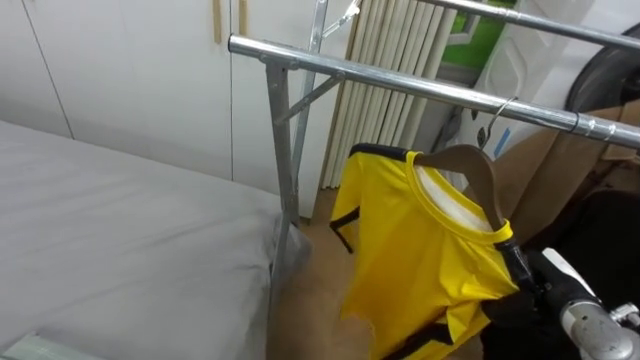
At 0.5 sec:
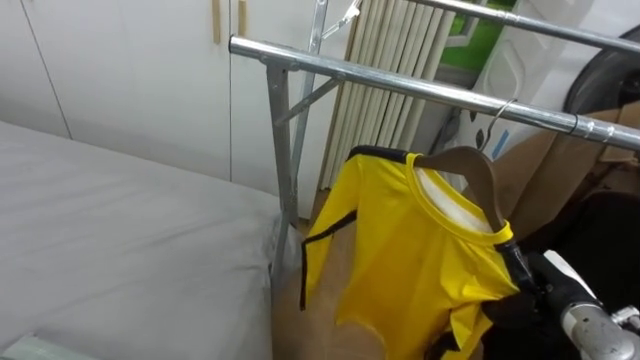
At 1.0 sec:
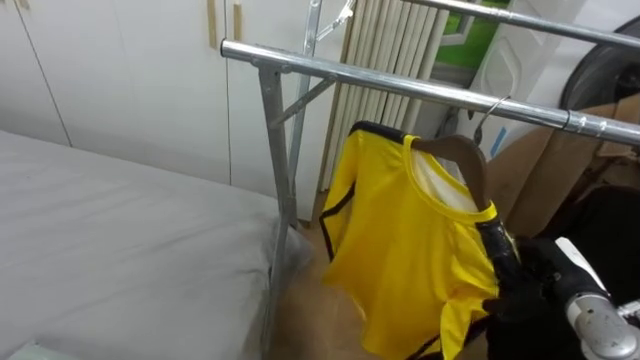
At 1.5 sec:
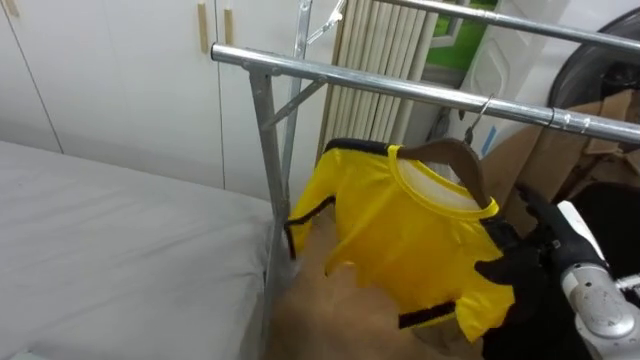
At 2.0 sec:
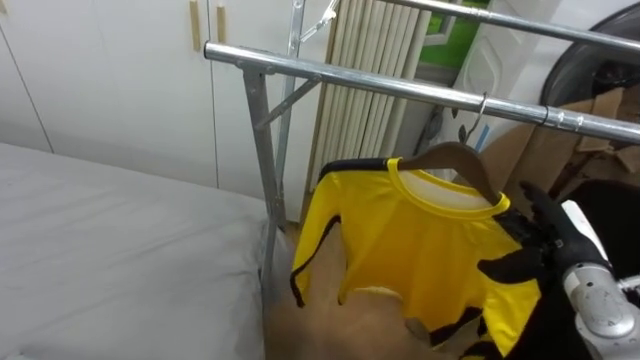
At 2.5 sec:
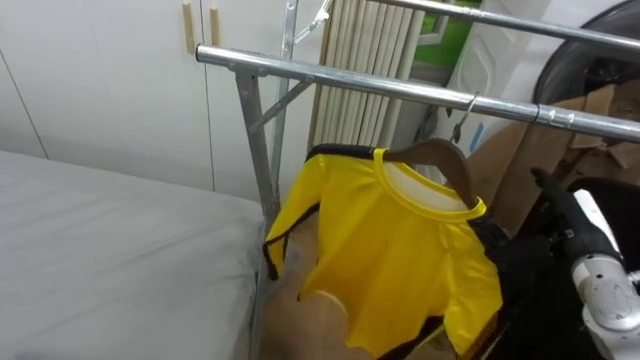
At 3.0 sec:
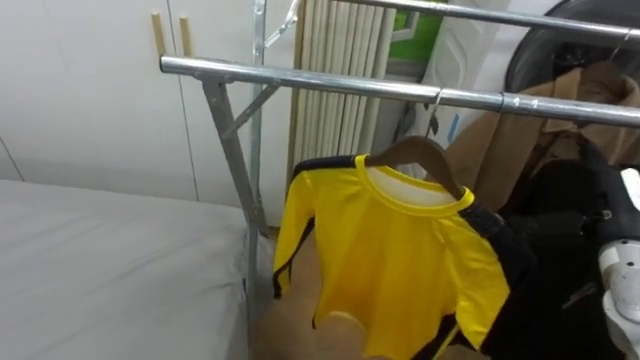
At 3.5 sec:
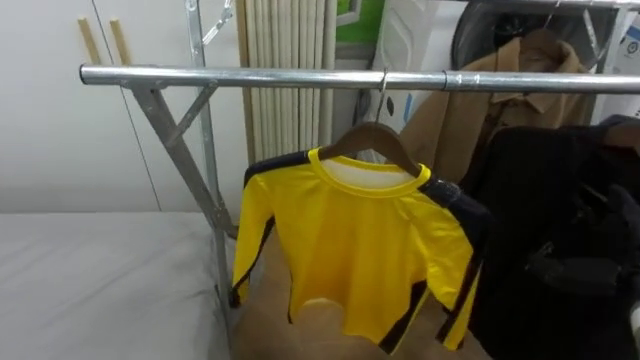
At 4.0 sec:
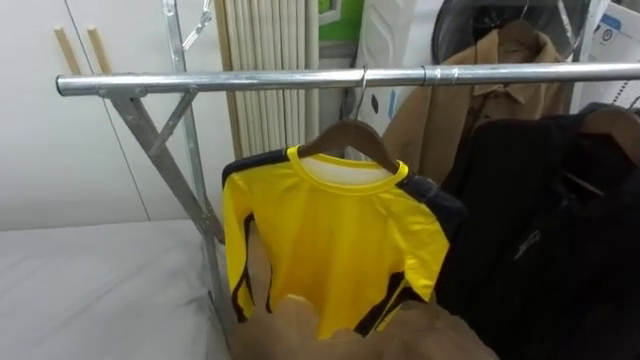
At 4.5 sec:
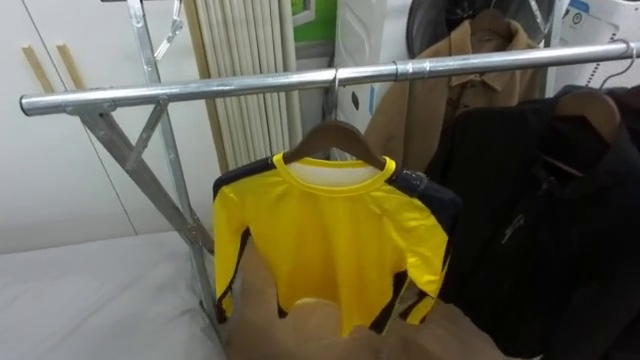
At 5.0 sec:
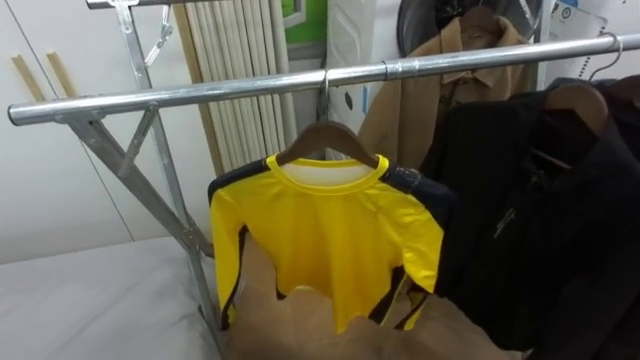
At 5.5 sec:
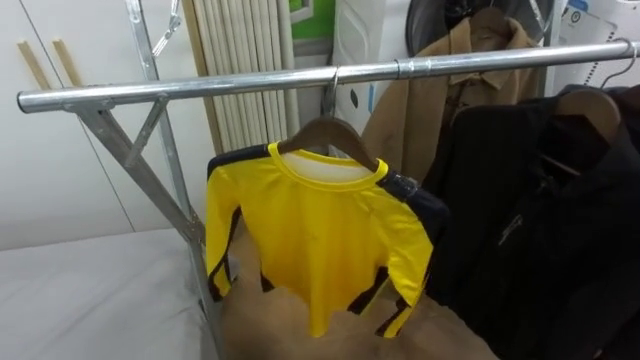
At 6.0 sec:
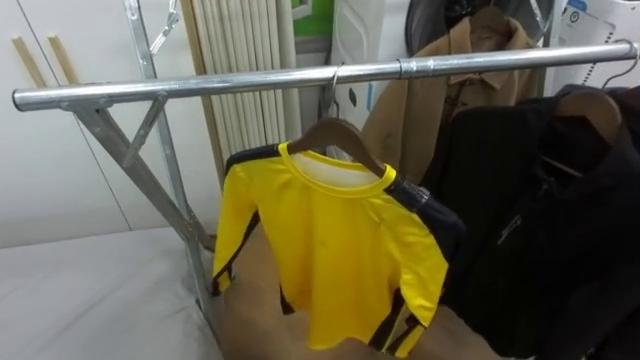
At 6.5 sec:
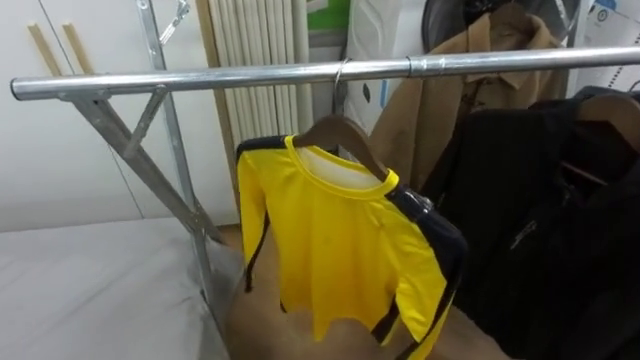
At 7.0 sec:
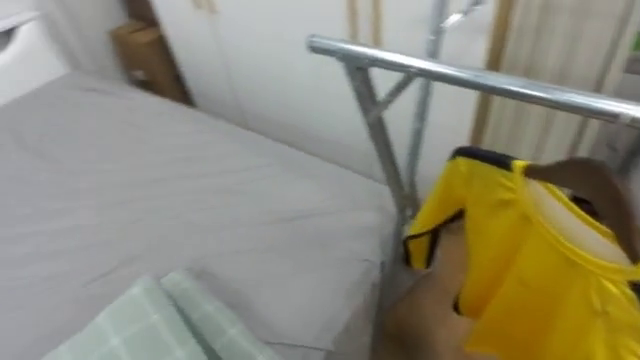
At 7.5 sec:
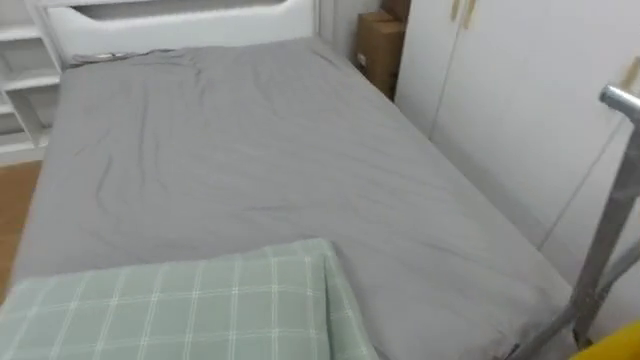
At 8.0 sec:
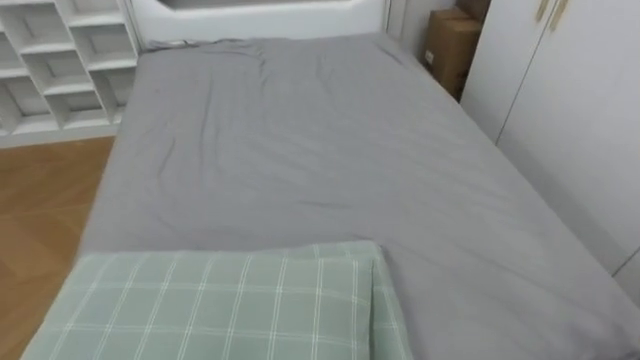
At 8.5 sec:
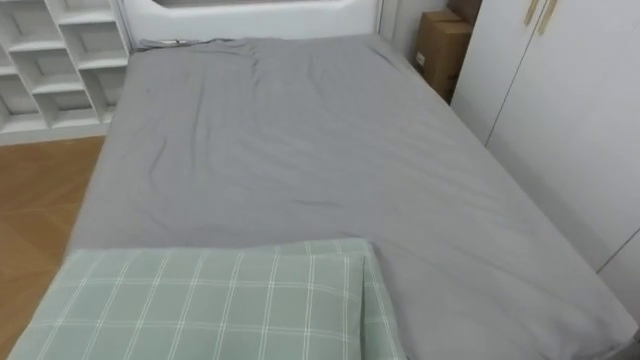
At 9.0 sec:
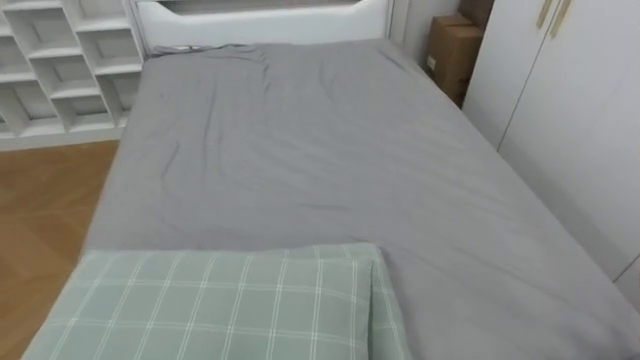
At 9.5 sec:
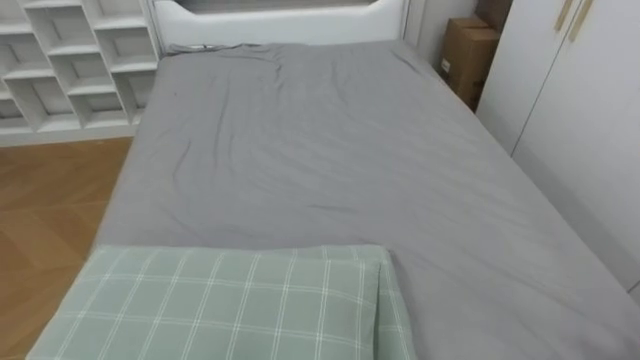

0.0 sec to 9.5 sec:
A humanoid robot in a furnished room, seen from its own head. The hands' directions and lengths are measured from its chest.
Task of the whole recording: Pick up the yellow shirt on the bed and hang it on the clothes rack on the right.
0.0 sec to 2.0 sec: The right hand moves upward, approximately 5 cm, and opens.
5.5 sec to 7.5 sec: The robot's body swings about 70 degrees to its left.
7.5 sec to 9.5 sec: The robot faces approximately 15 degrees further to its left.

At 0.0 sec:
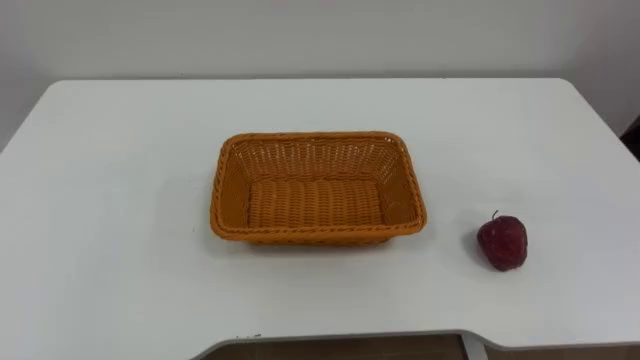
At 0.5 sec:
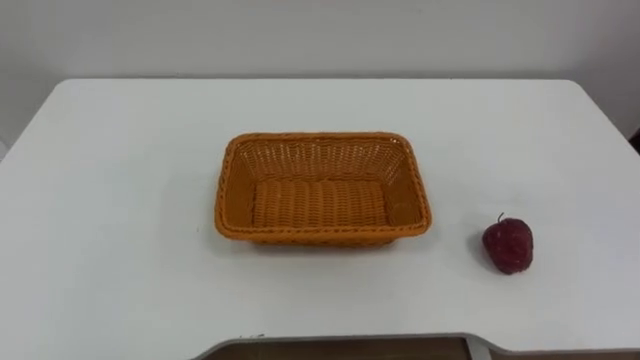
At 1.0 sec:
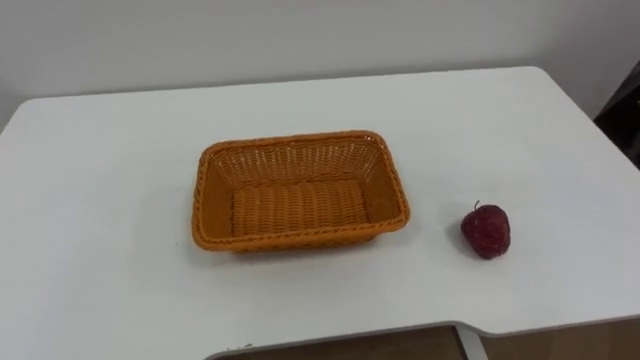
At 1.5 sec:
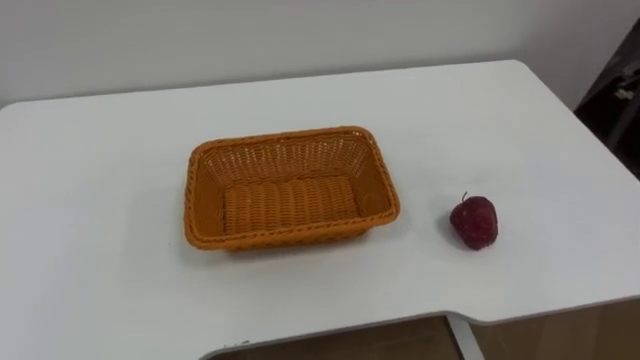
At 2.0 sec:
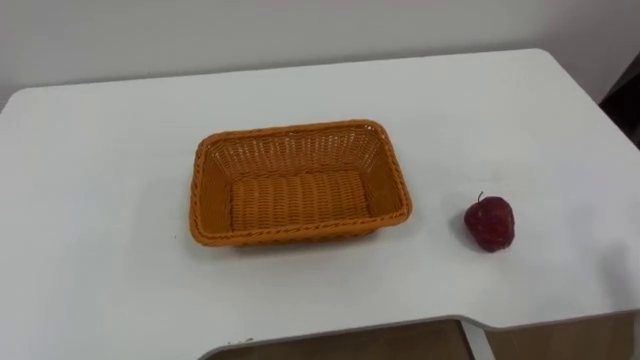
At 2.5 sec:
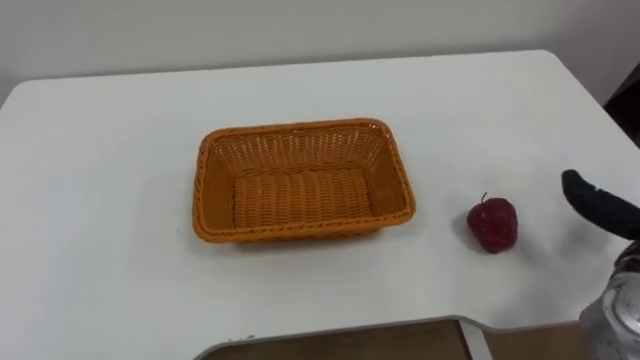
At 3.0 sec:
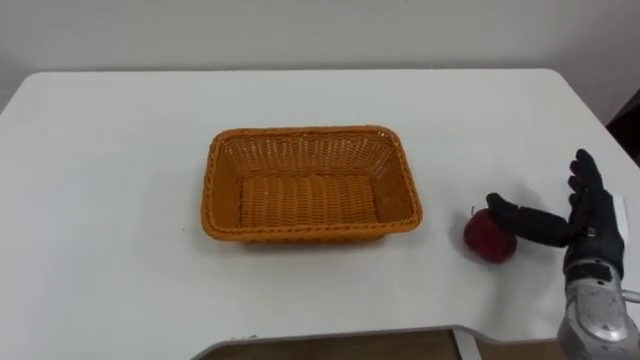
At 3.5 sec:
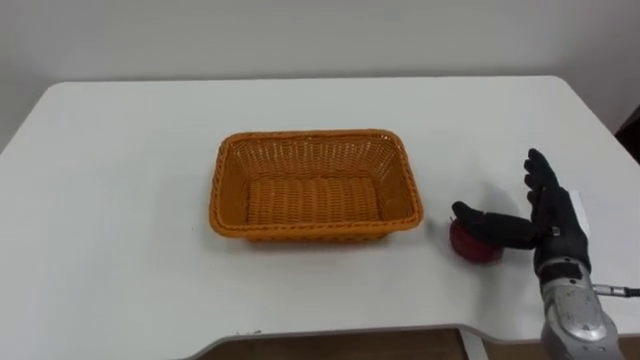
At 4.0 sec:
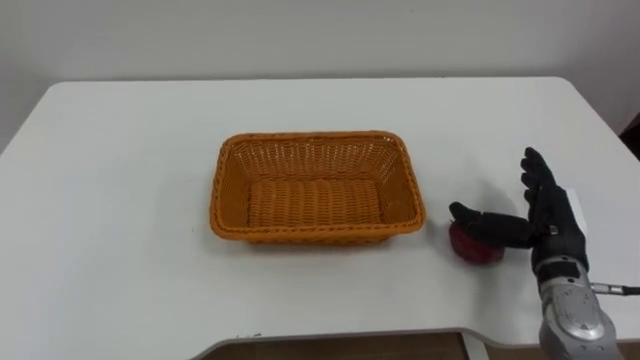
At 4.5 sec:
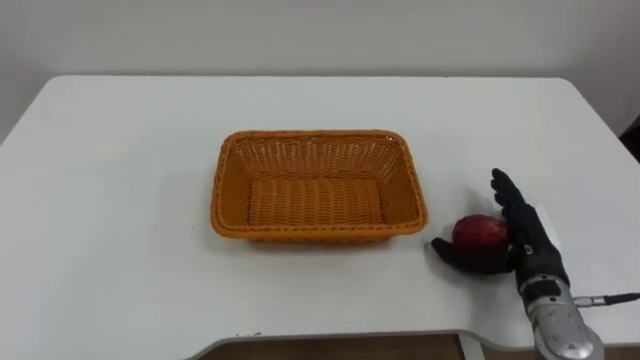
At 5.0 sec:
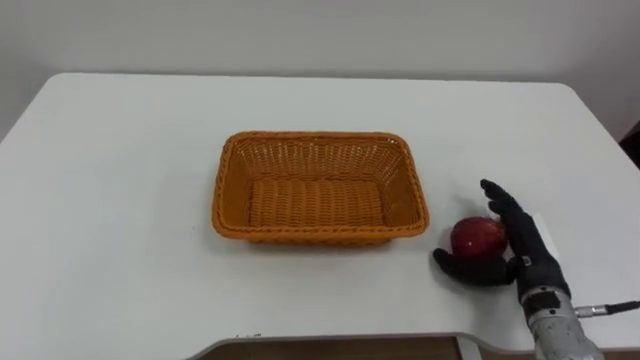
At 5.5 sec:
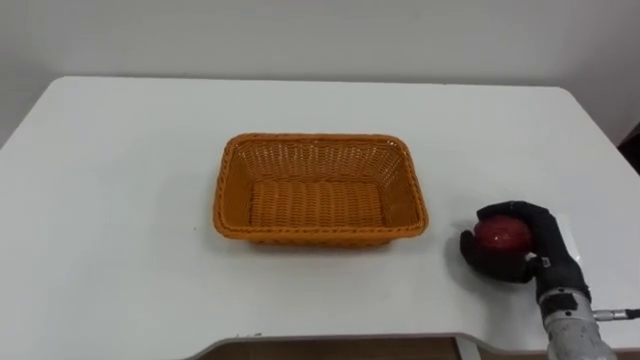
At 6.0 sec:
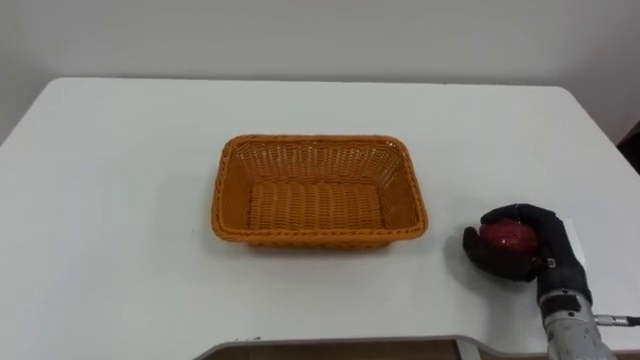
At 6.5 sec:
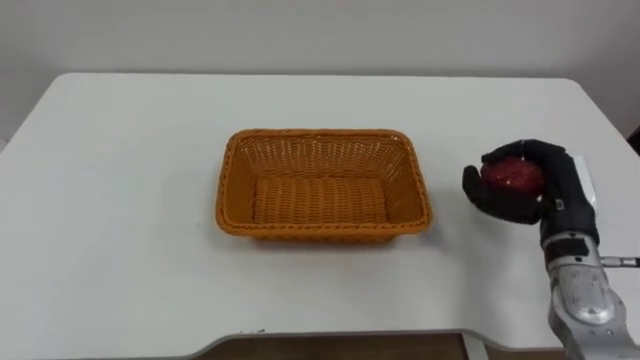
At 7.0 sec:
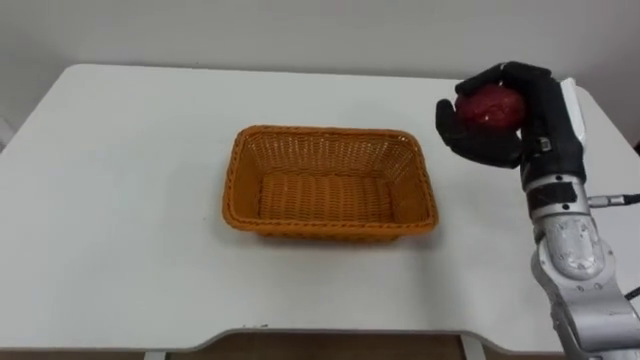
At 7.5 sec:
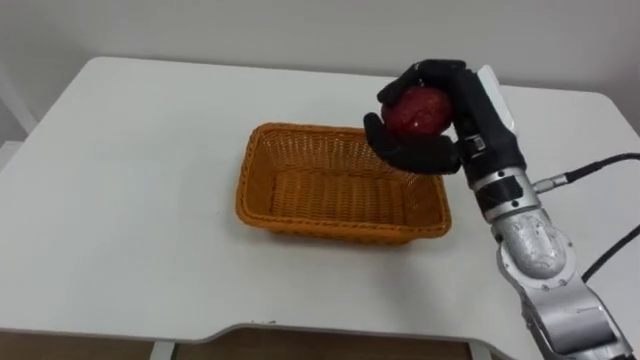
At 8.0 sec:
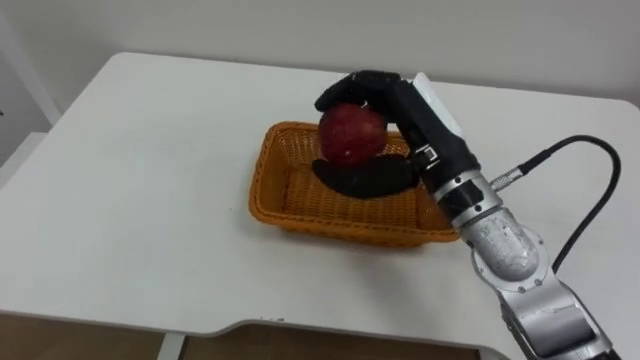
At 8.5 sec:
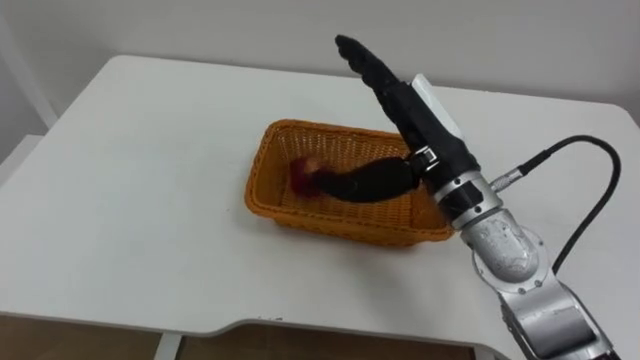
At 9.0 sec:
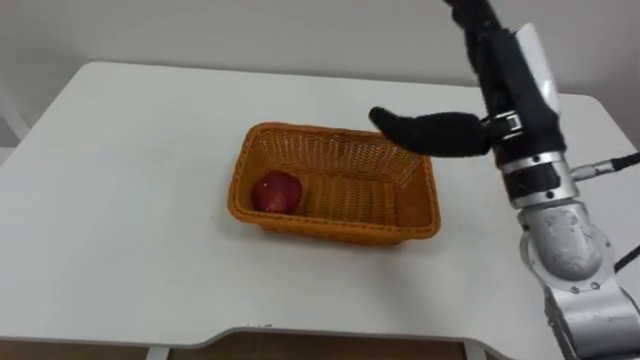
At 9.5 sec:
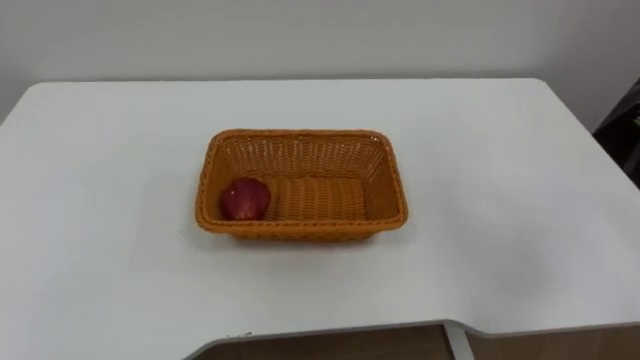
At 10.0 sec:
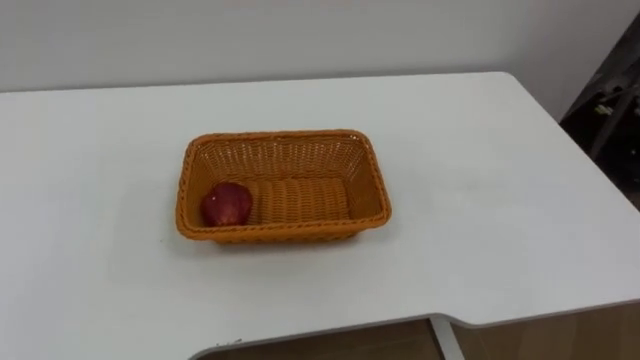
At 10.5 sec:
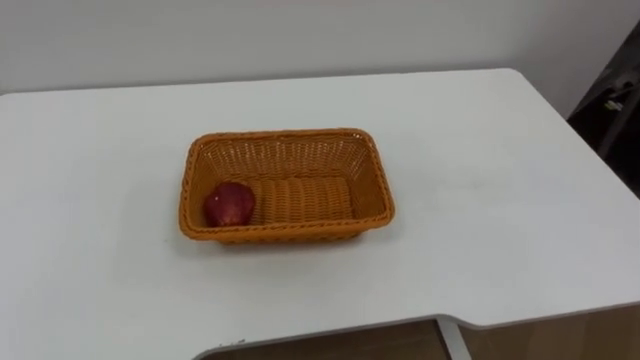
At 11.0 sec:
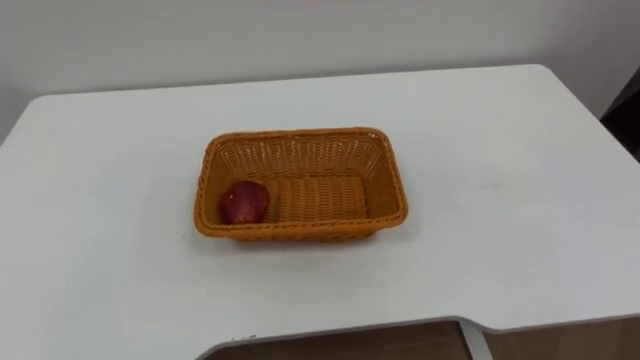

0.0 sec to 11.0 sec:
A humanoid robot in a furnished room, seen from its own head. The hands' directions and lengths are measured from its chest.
Task of the whole recording: Pick the apple and place it in the box.
3.5 sec to 5.5 sec: The right hand closes its fingers.
5.5 sec to 7.5 sec: The right hand moves upward, to the left and forward, approximately 25 cm.
7.5 sec to 9.0 sec: The right hand heads upward, covering some 5 cm, and opens.
